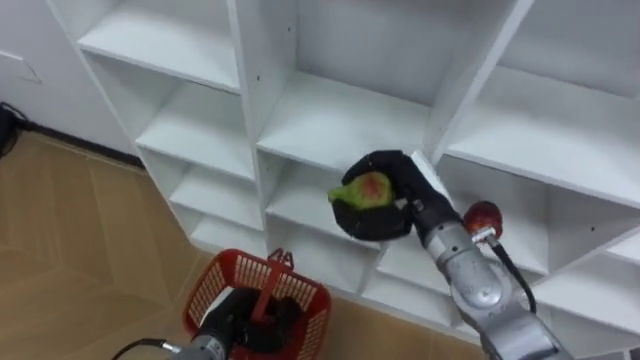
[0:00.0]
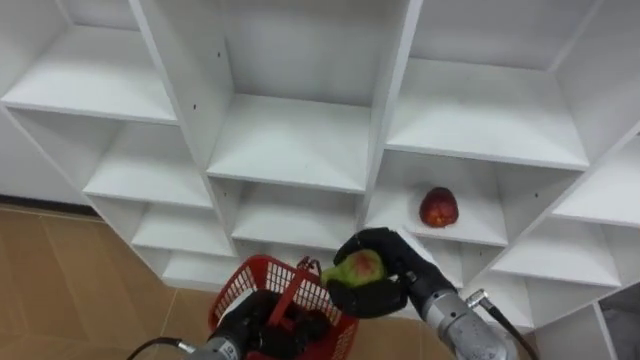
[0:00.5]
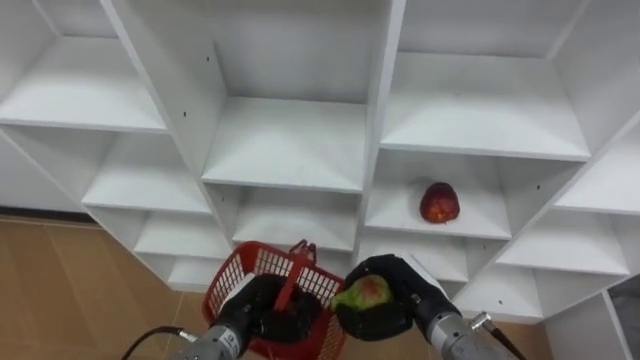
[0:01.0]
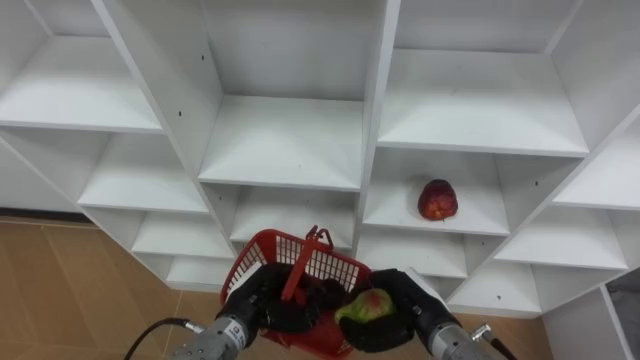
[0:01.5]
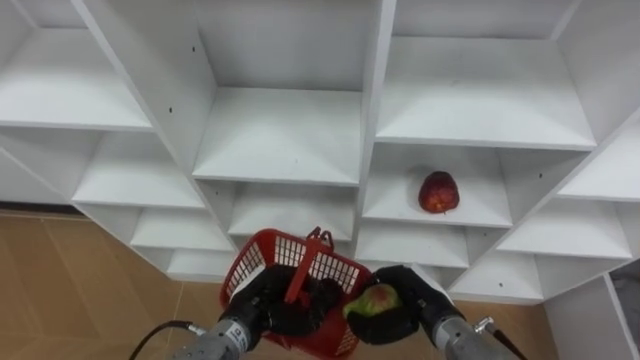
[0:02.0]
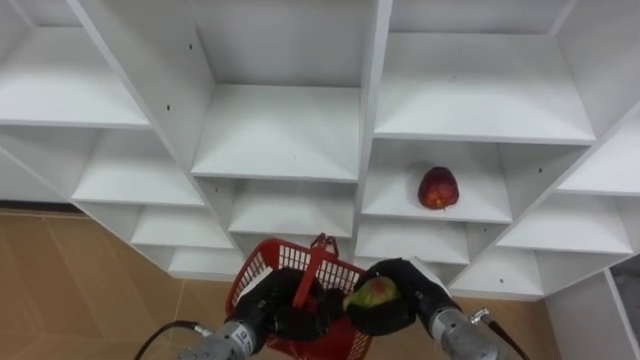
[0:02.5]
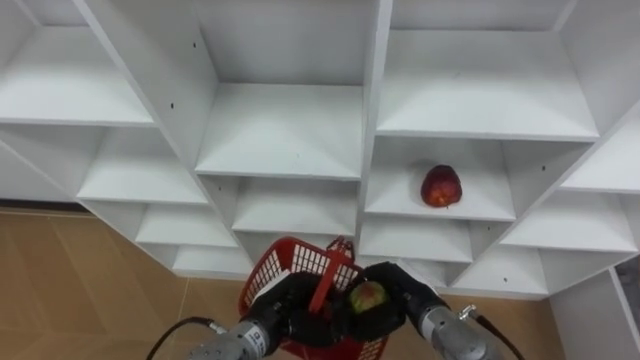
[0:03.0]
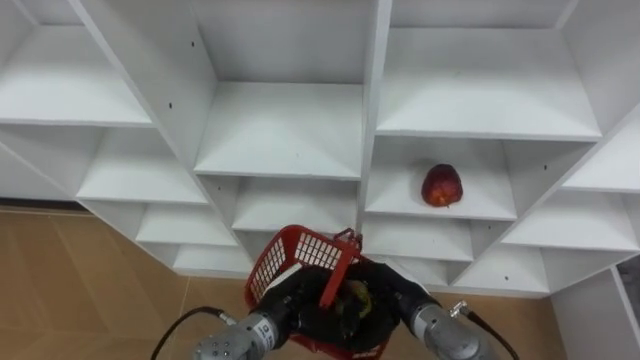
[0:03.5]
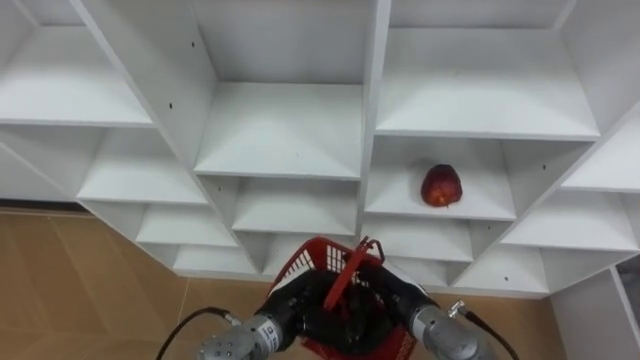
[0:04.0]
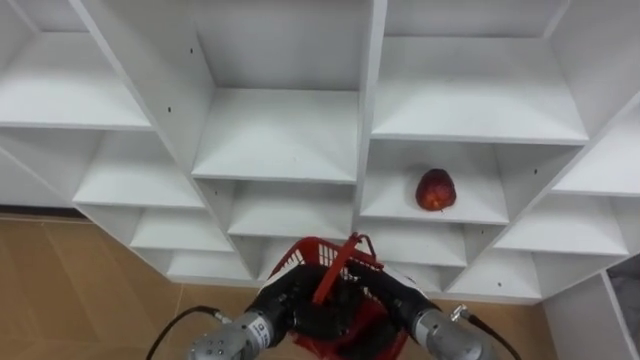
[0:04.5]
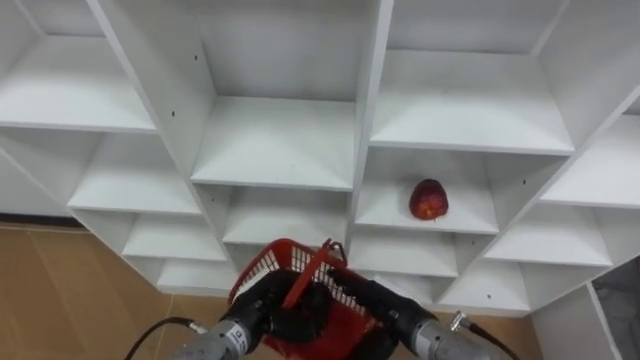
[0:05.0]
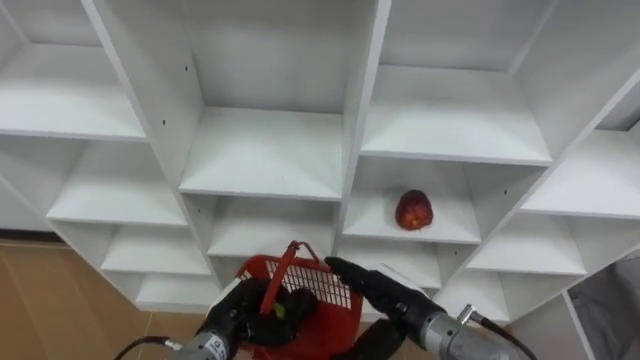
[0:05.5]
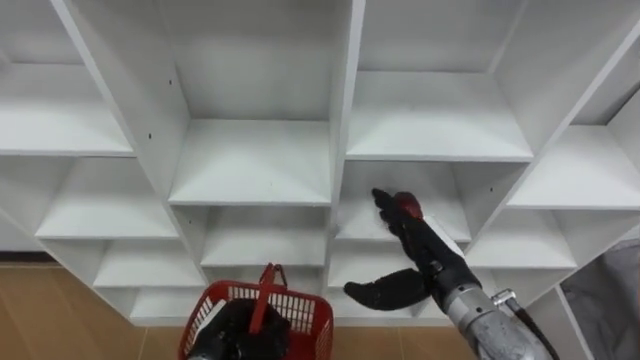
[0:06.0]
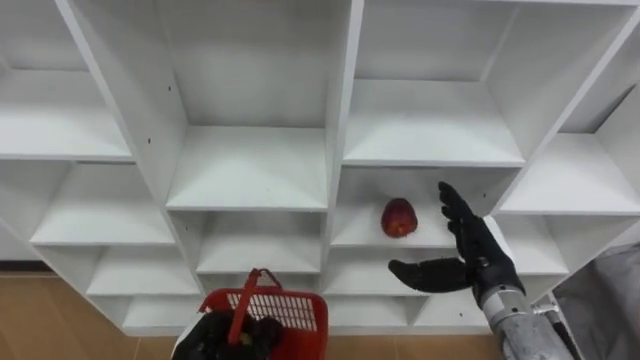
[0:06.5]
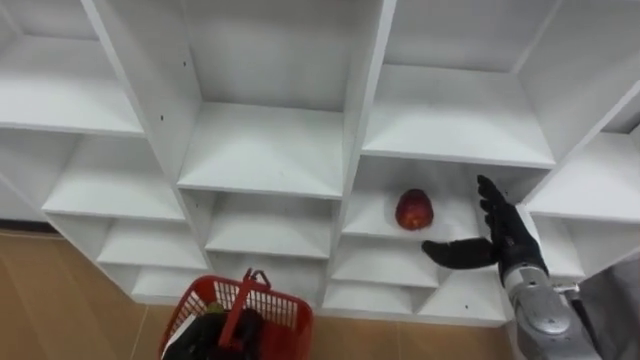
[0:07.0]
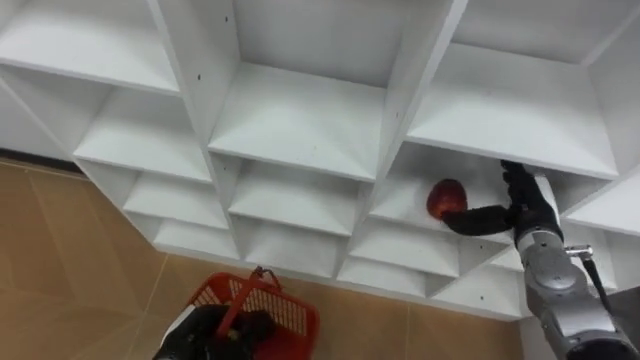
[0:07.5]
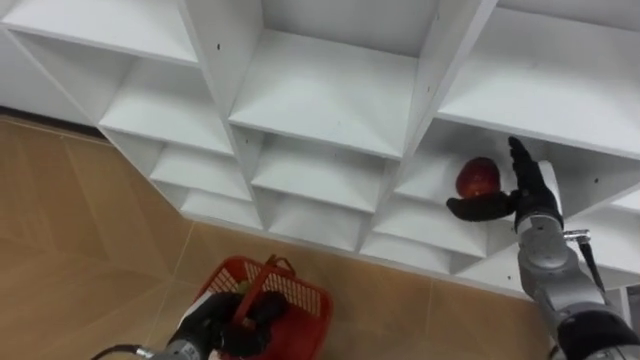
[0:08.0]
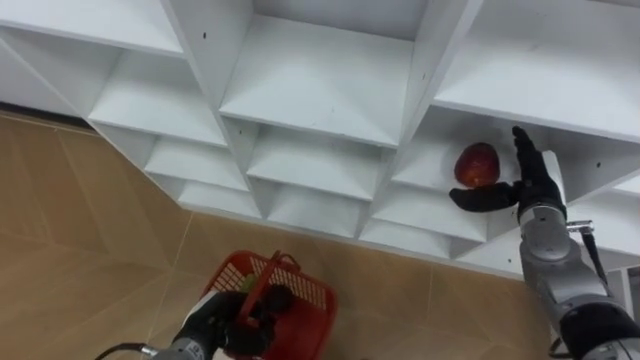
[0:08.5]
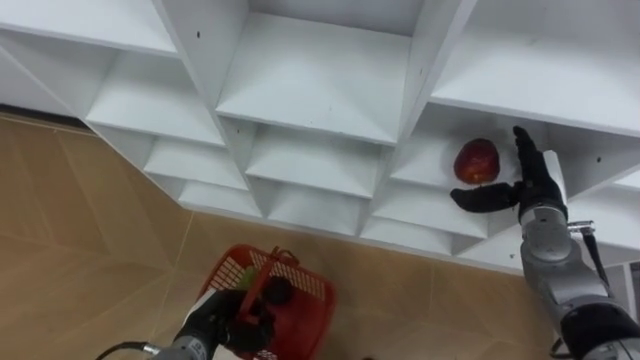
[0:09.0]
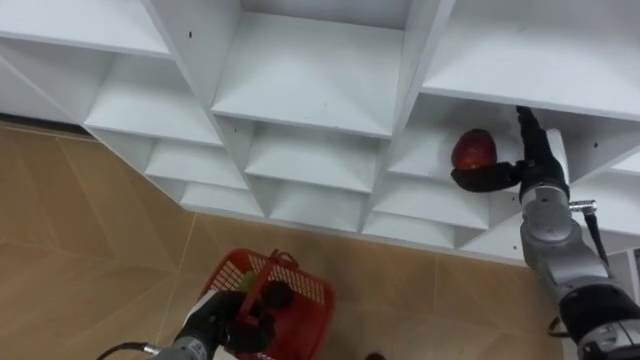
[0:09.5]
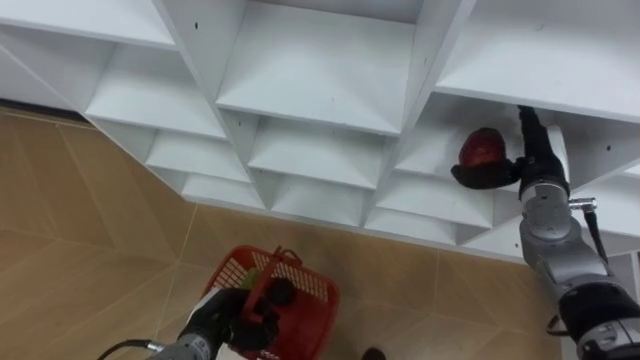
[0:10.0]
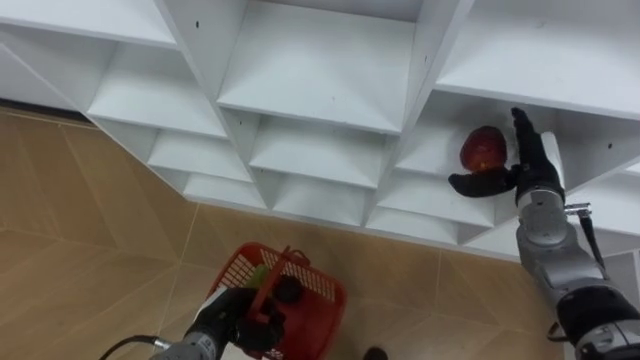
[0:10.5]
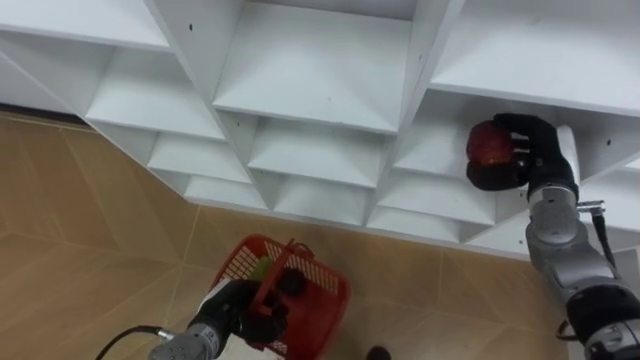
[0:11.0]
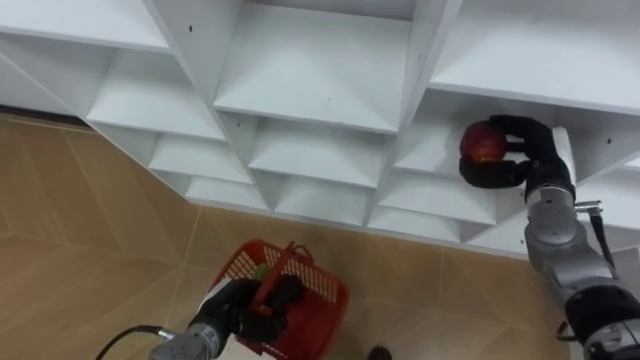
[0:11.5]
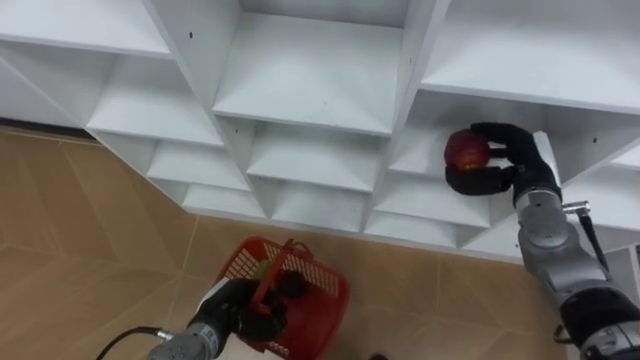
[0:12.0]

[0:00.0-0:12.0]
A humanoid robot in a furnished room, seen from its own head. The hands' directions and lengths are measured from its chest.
Task of the whole recording: Hold the basket and collect the fruits from 3 different cells of the closet into it.
0:00.0 to 0:02.0: The left hand moves about 5 cm; the right hand is displaced downward and backward by roughly 15 cm.
0:02.0 to 0:04.0: The left hand travels to the right by approximately 5 cm, while the right hand opens.
0:04.0 to 0:06.0: The right hand travels upward by roughly 10 cm, while the left hand heads to the left, covering about 10 cm.
0:06.0 to 0:08.0: The right hand is displaced to the right and forward by roughly 15 cm.
0:08.0 to 0:10.0: The right hand moves some 5 cm.
0:10.0 to 0:12.0: The right hand closes up.

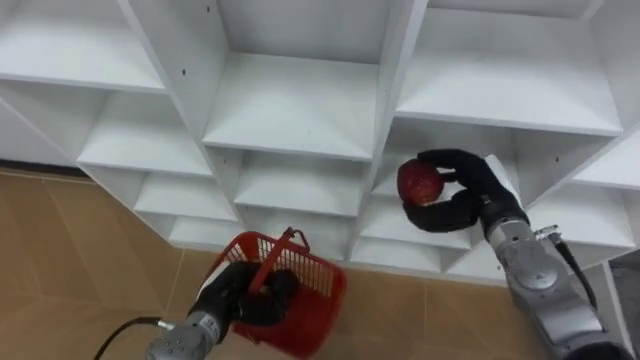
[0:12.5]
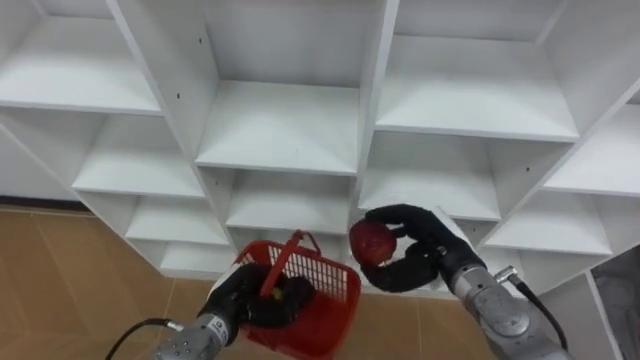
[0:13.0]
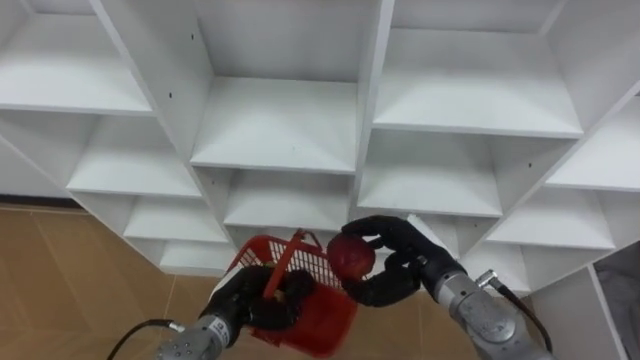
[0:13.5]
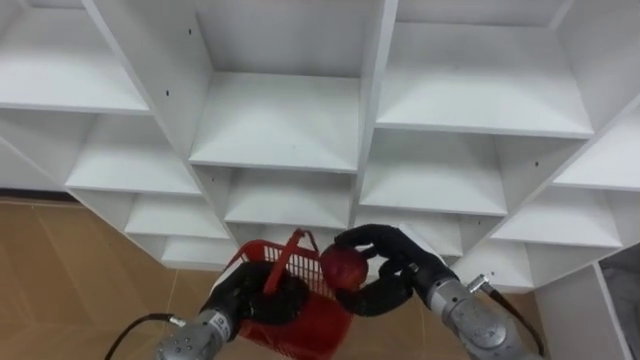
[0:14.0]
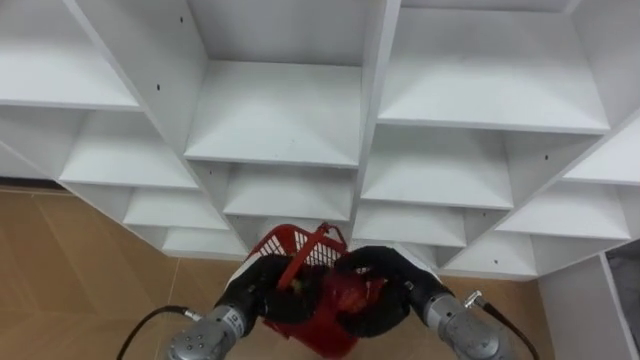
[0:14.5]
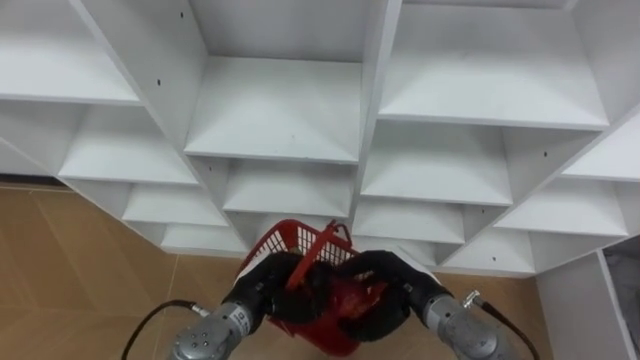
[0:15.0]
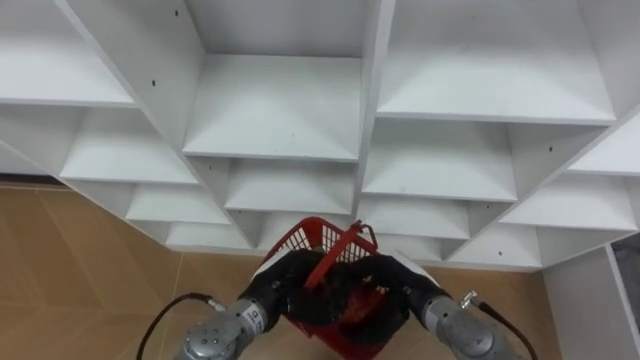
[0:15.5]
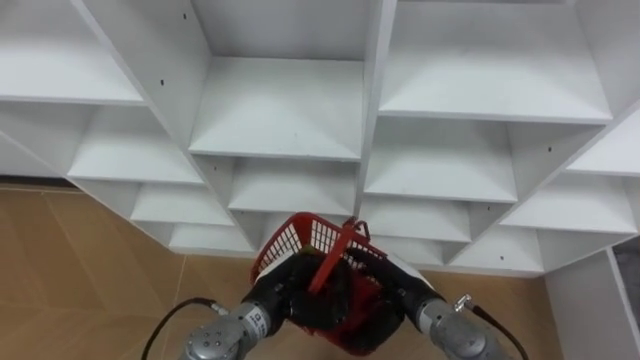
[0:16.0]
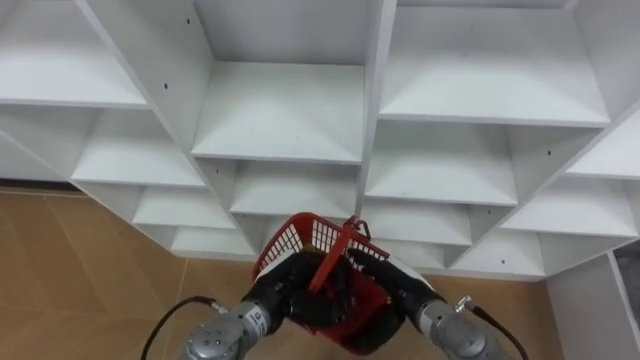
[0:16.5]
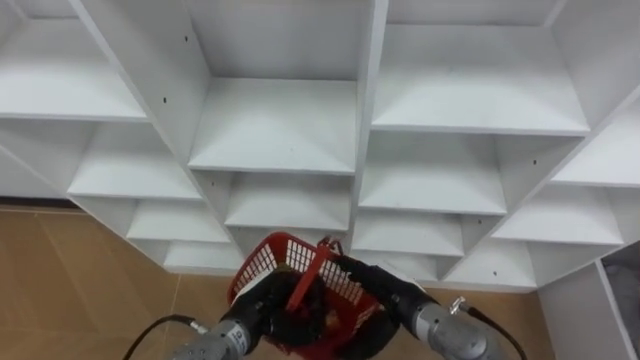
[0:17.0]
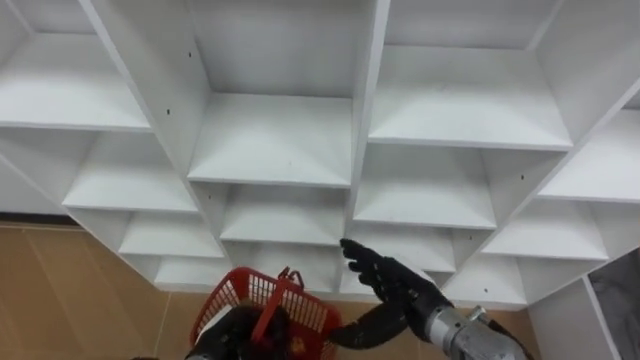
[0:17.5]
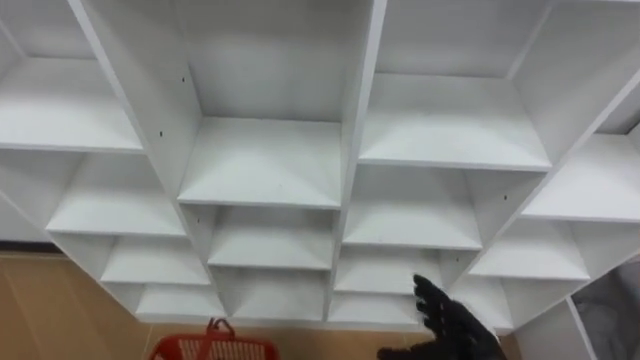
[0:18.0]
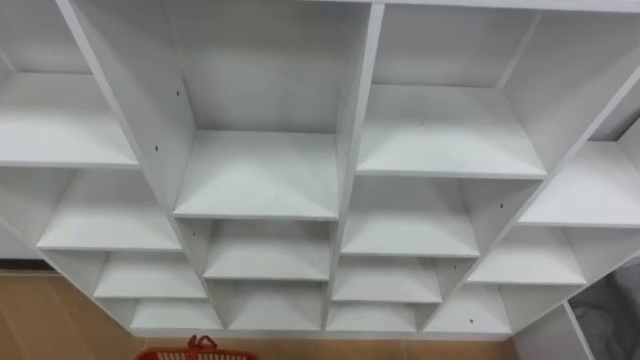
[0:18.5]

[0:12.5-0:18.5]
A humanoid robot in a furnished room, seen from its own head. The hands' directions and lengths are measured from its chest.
Task of the whole recording: Hold the basket and collect the fruits from 3 different cells of the closet into it.
0:12.5 to 0:14.5: The right hand moves to the left, backward and downward, about 15 cm.
0:14.5 to 0:16.5: The right hand opens.

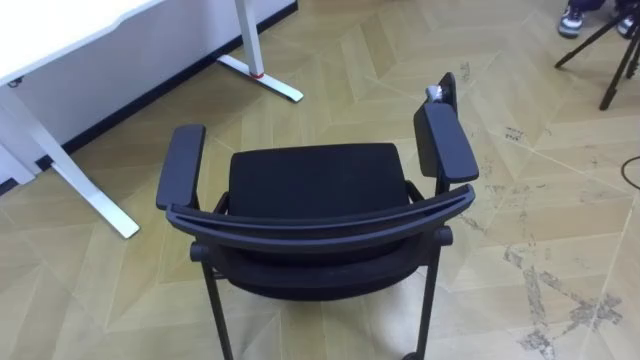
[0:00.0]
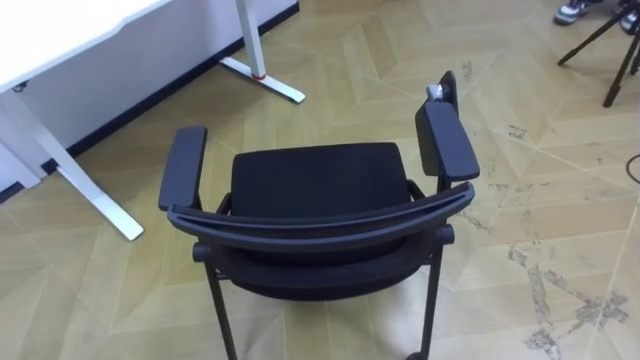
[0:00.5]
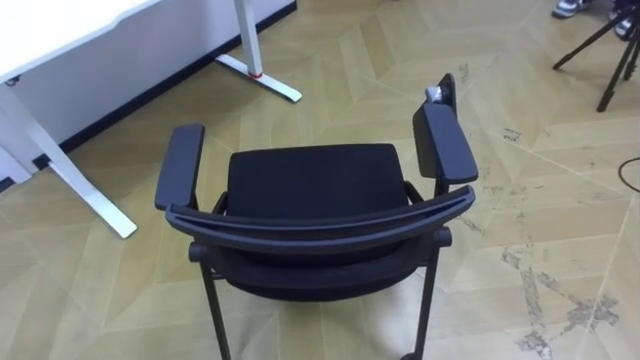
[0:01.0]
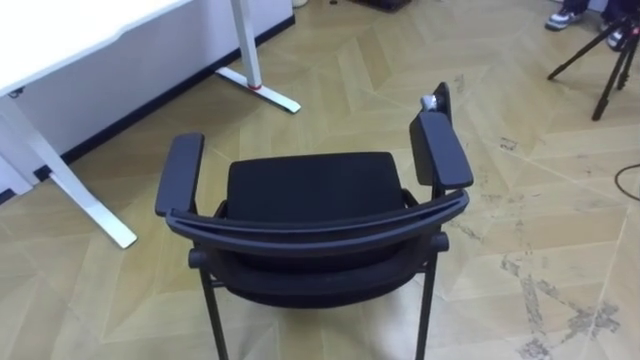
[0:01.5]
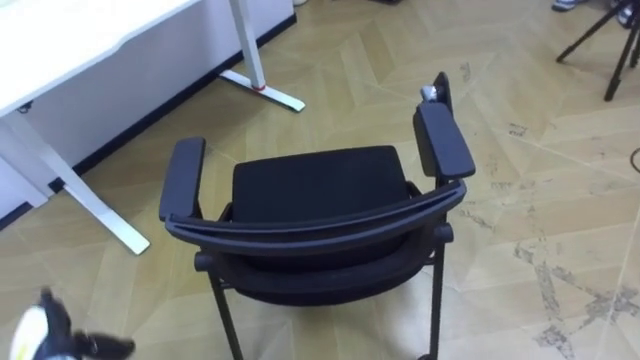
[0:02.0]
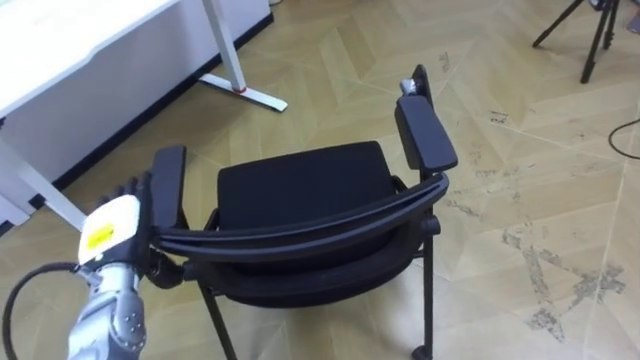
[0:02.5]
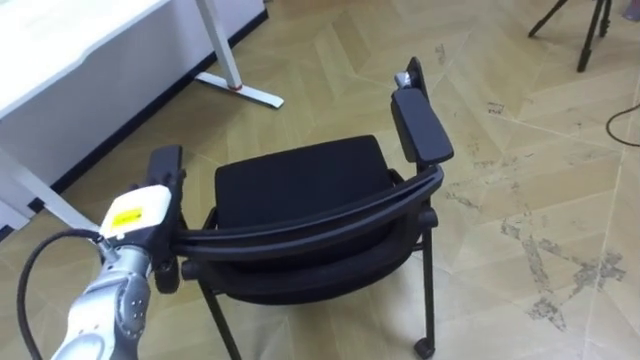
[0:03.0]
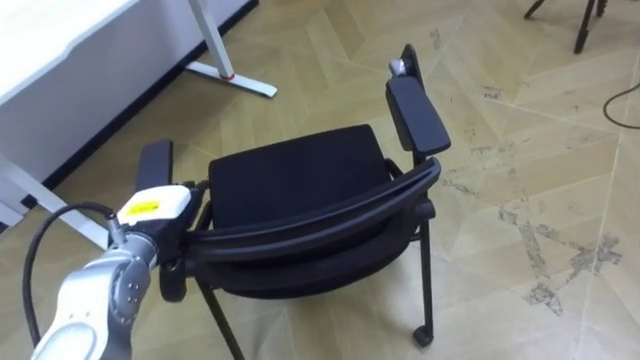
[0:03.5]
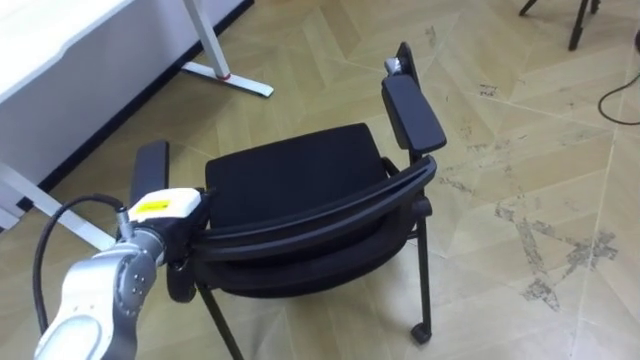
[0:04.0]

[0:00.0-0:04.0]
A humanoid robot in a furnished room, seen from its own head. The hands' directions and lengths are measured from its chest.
Task of the whole recording: Push the chair under the table.
0:02.0 to 0:04.0: The left hand goes some 25 cm to the right, upward and forward.
